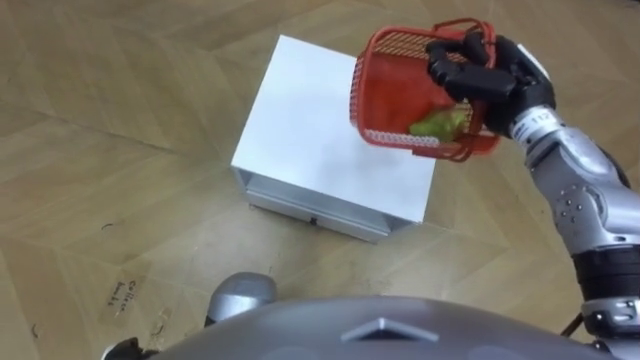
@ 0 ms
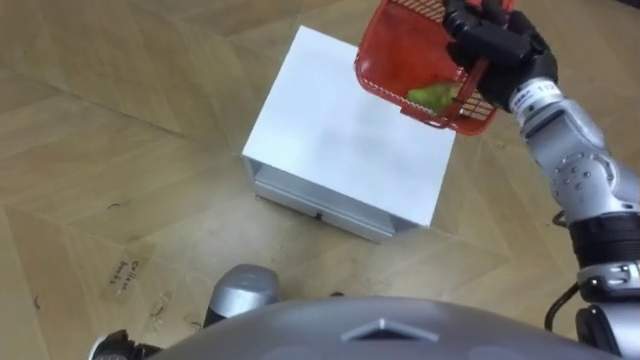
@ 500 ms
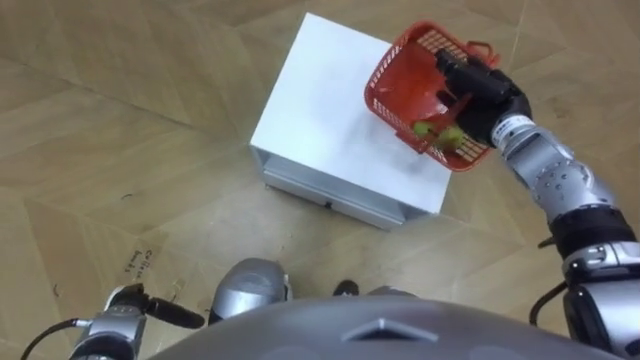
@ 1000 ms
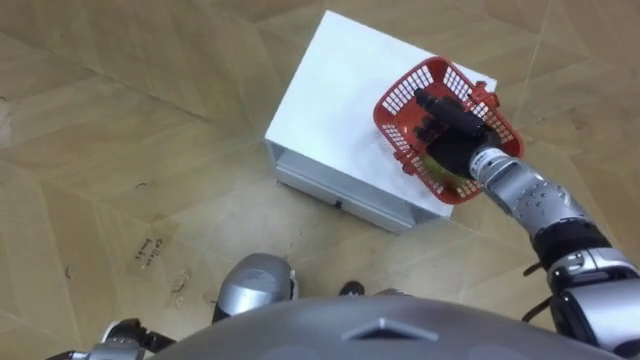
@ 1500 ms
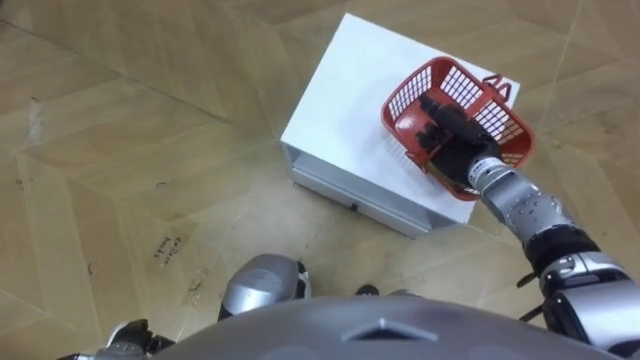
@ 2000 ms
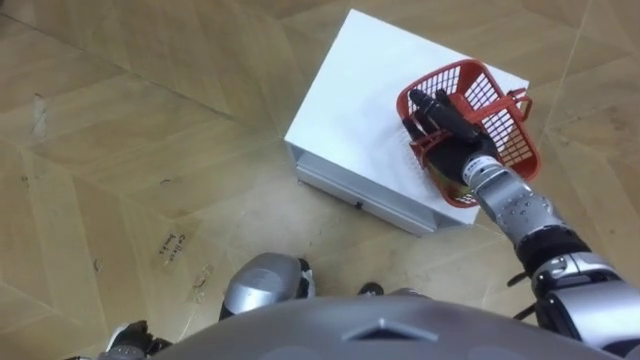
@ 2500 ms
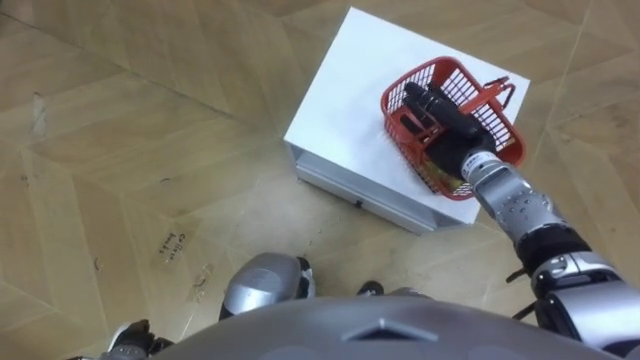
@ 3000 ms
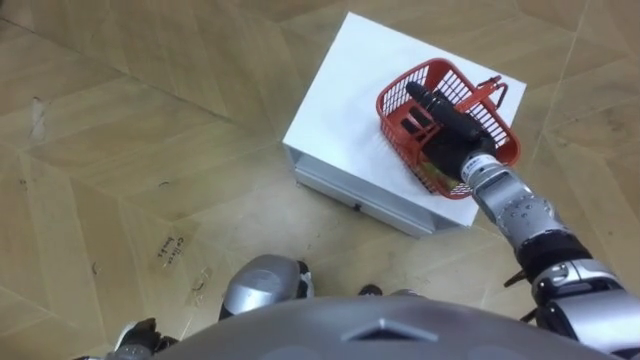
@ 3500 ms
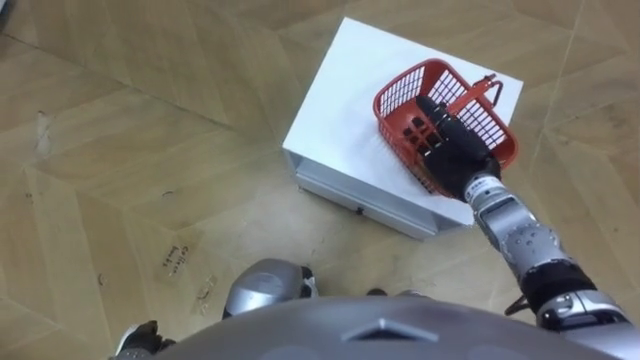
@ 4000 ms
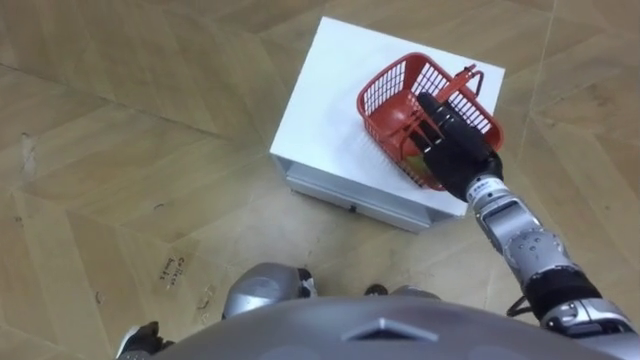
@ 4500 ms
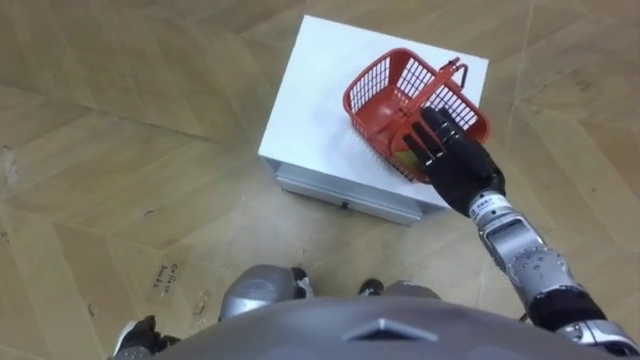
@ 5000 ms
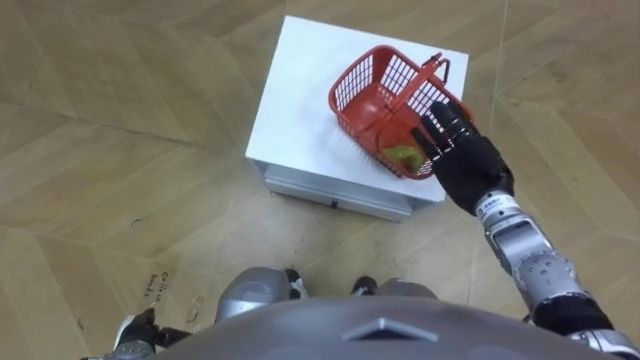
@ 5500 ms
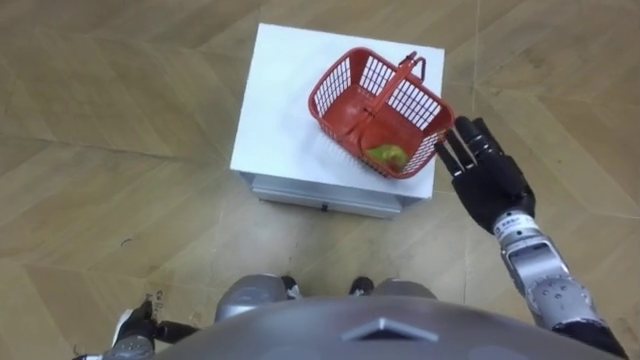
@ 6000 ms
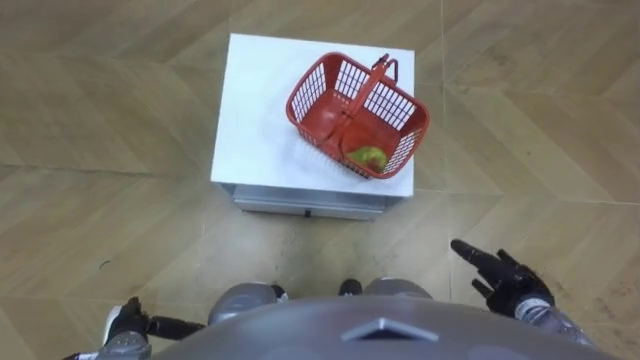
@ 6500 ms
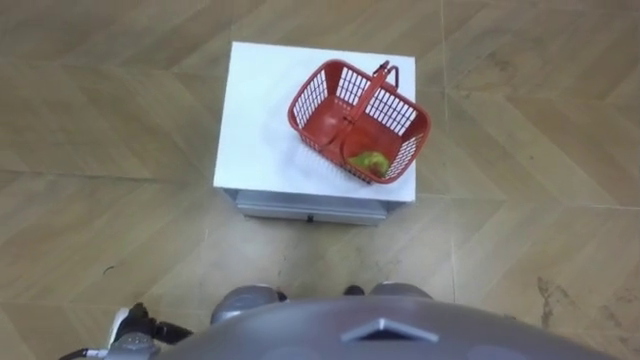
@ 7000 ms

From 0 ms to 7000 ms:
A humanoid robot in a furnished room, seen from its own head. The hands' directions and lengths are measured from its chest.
Task of the whole recording: Pick up the fruit basket from the floor and place it on the cabinet.
From 0 ms to 2000 ms: The right hand heads downward, covering approximately 10 cm.
From 2000 ms to 3500 ms: The right hand opens its fingers.
From 5000 ms to 7000 ms: The right hand shifts approximately 25 cm backward and downward.
